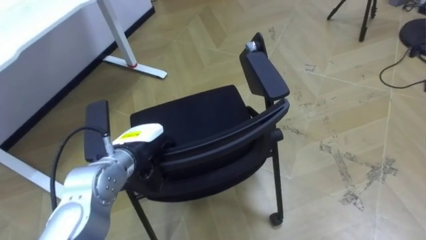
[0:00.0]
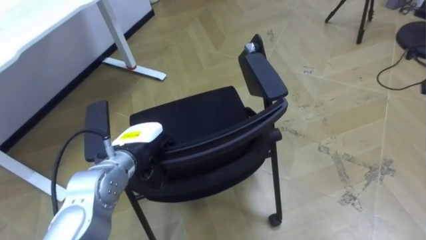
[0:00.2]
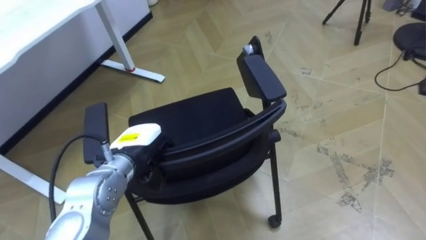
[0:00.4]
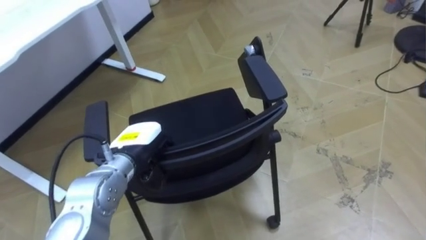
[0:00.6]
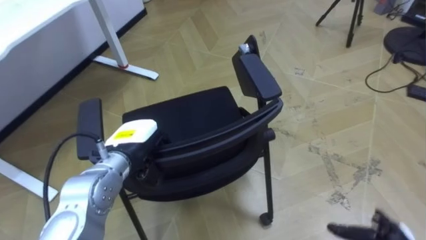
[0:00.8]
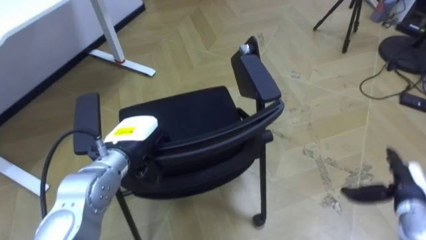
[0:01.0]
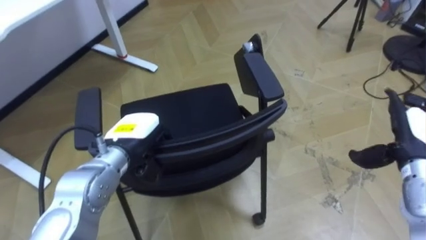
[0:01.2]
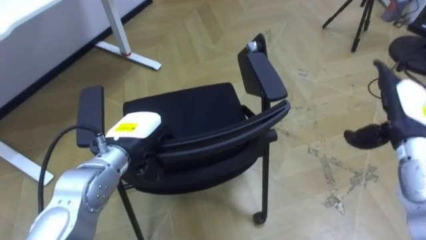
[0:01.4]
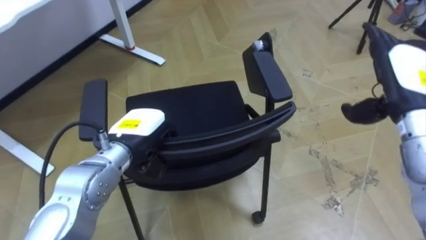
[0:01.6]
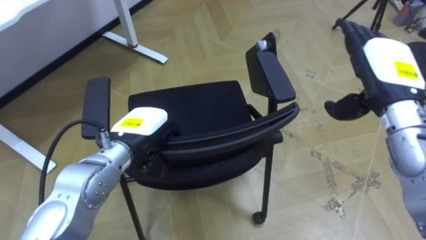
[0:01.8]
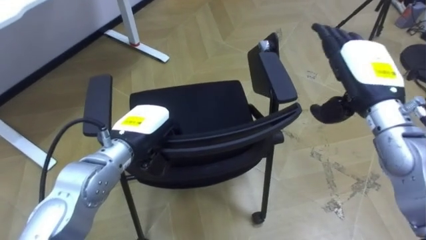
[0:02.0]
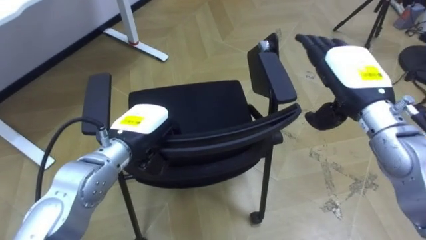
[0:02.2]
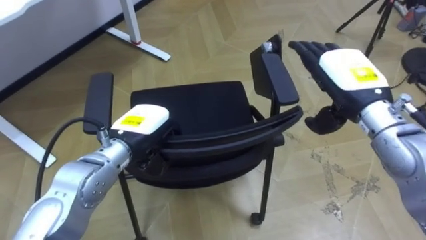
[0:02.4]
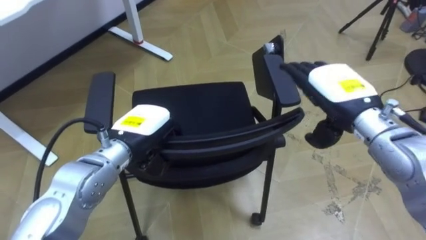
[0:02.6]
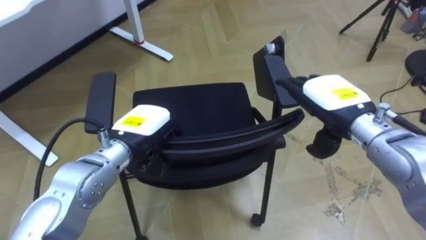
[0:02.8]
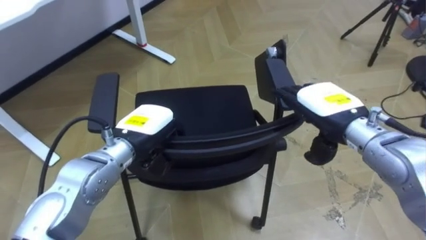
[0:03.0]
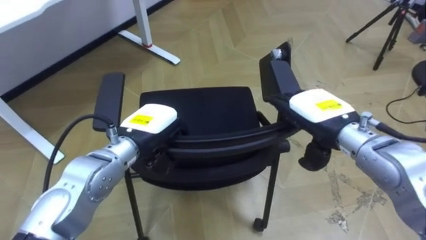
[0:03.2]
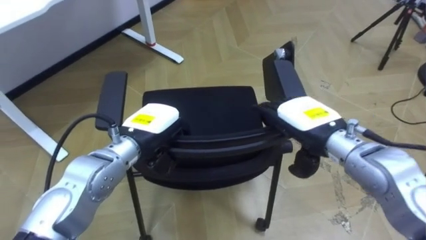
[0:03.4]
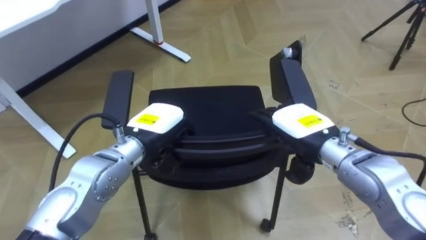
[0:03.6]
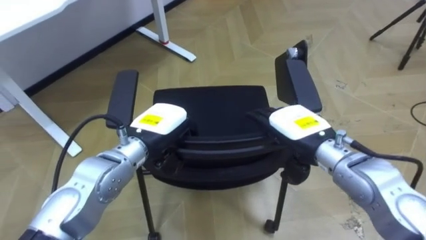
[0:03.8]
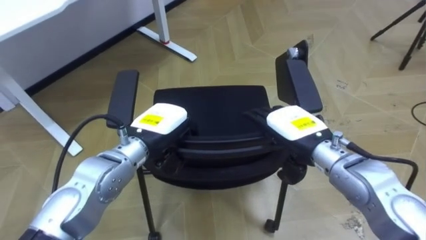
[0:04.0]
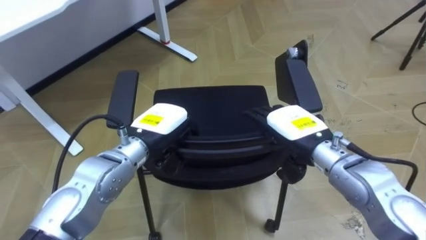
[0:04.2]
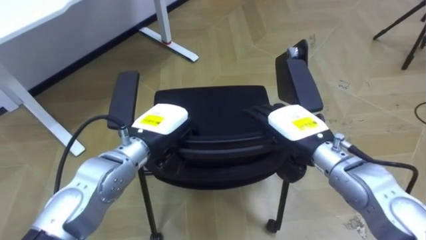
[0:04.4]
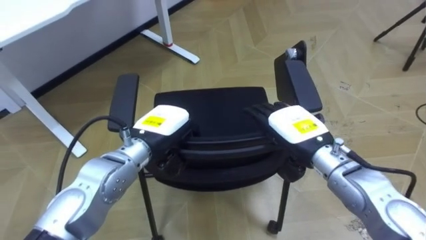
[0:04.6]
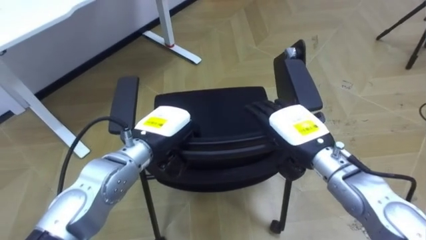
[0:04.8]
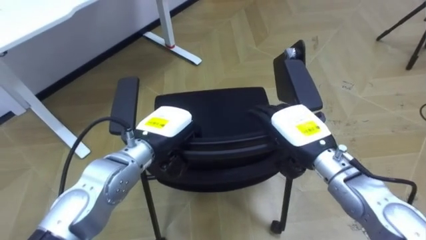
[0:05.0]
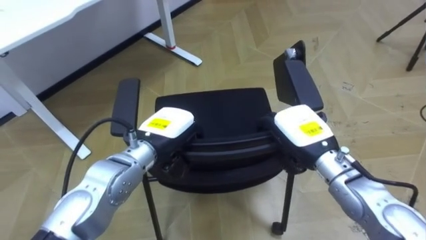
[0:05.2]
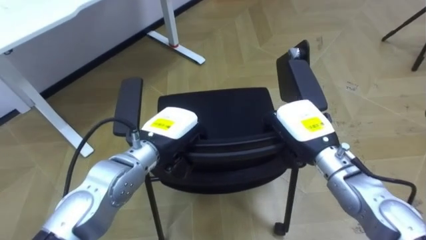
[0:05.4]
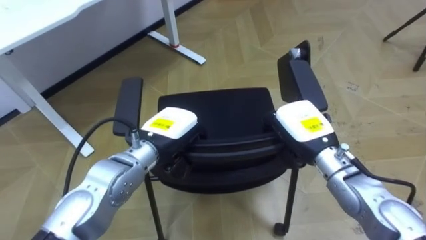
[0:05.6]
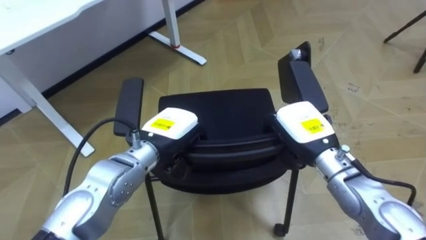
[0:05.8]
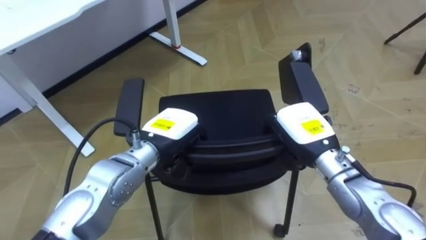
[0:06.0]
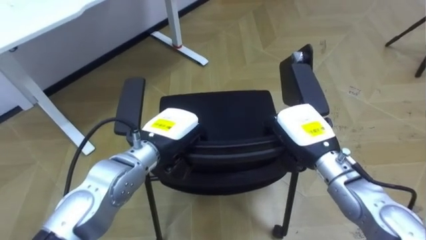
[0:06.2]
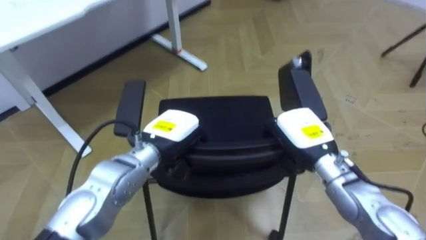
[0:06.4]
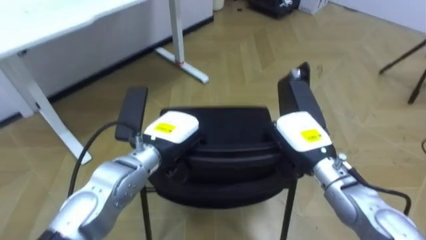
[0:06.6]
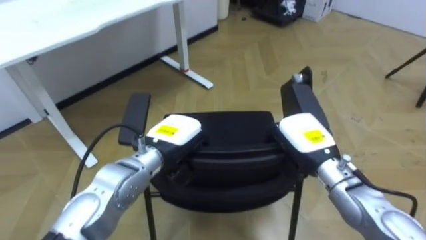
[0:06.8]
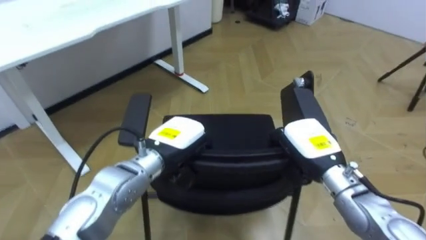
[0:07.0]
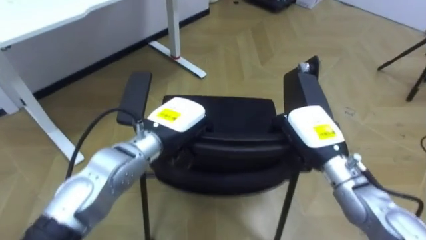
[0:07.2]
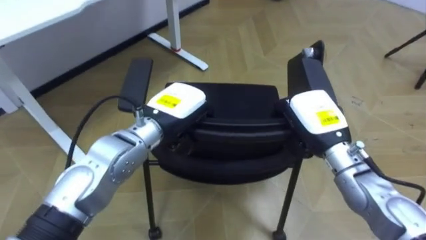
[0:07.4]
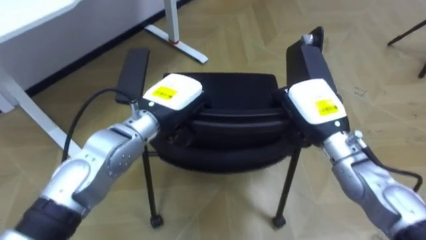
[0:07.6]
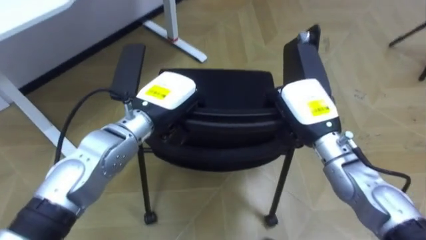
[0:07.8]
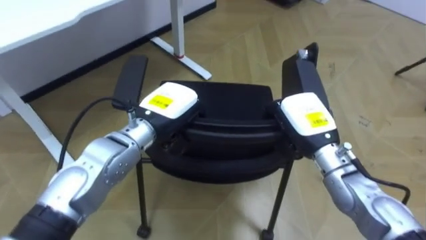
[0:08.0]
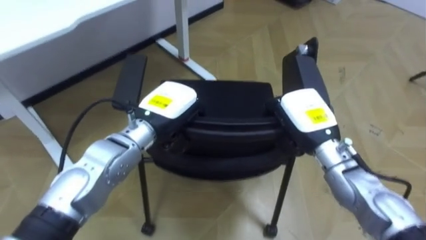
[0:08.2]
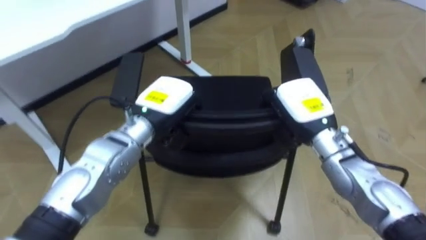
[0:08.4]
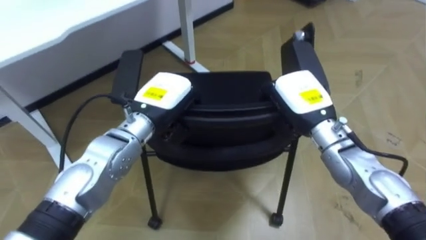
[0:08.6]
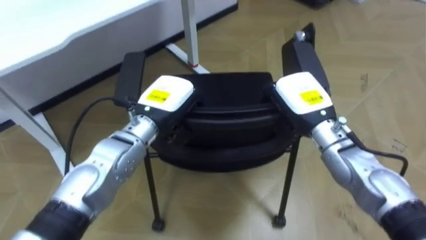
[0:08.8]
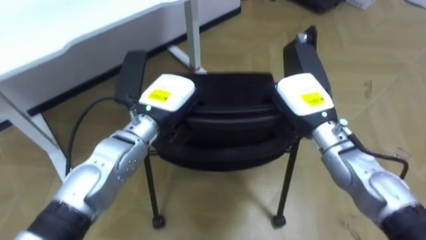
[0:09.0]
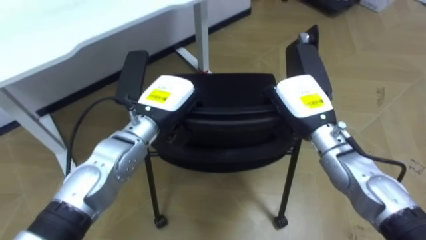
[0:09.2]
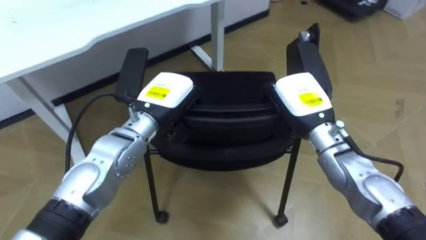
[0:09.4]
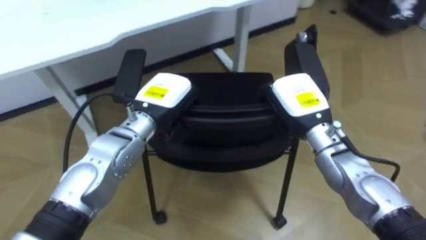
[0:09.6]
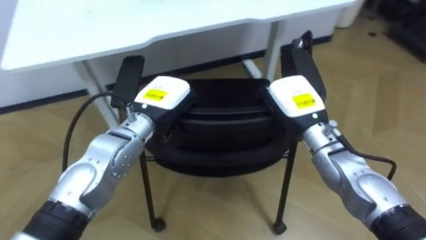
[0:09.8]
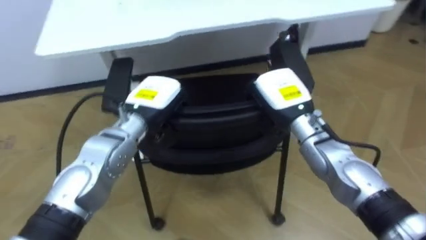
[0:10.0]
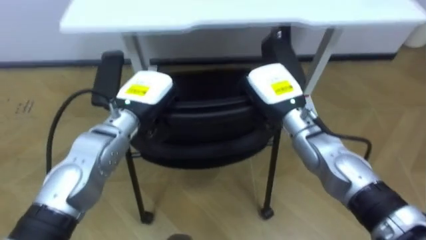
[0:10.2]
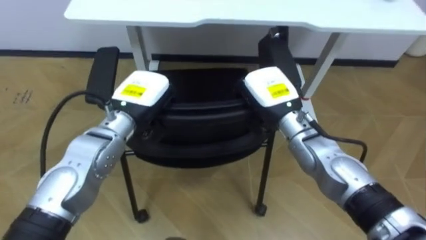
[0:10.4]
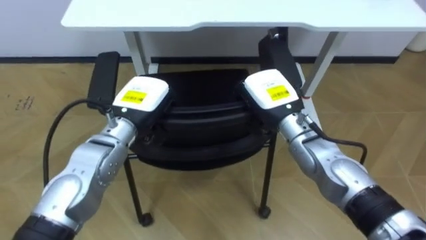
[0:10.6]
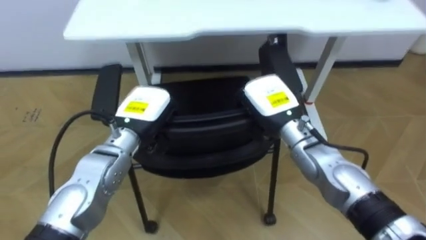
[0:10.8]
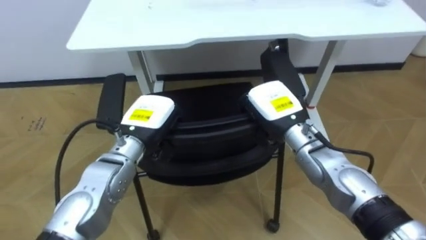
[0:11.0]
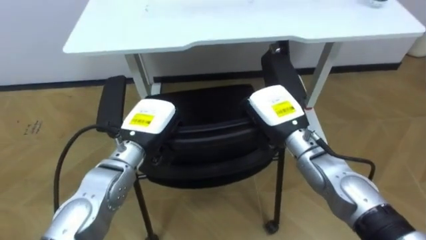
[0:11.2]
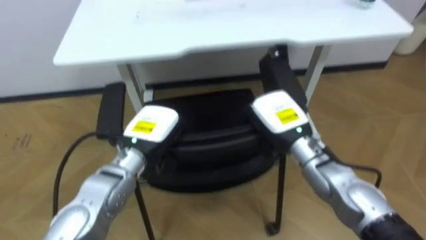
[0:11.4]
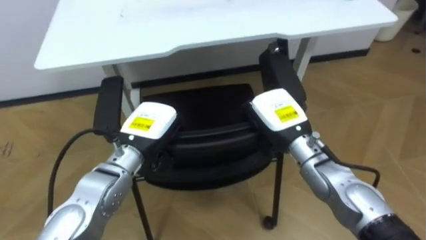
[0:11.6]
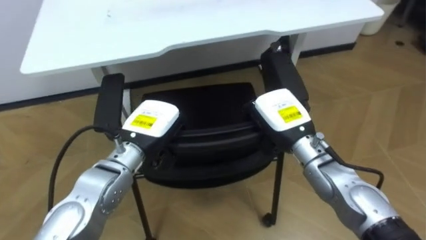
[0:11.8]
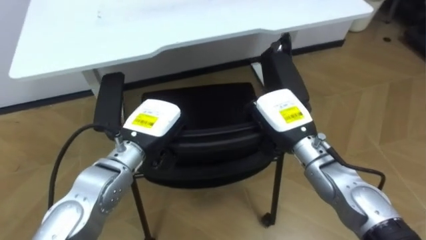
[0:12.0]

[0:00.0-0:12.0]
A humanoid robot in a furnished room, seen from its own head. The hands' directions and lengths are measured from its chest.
Task of the whole recording: Push the chair under the table.
0:01.6 to 0:03.0: The right hand shifts approximately 10 cm to the left.
0:03.0 to 0:04.4: The right hand changes place by approximately 5 cm.
0:04.4 to 0:06.0: The right hand closes.
0:06.0 to 0:07.6: The left hand ends up about 5 cm from where it was.
0:09.0 to 0:10.4: The right hand shifts approximately 5 cm to the left.
0:10.4 to 0:12.0: The left hand changes place by roughly 5 cm.

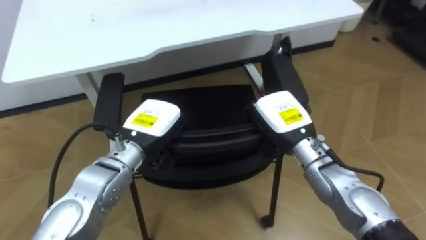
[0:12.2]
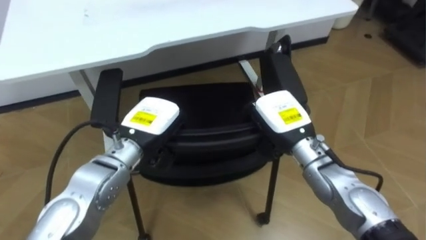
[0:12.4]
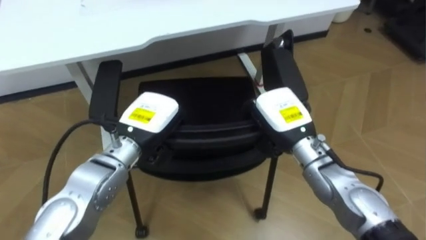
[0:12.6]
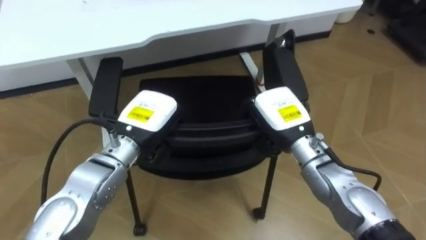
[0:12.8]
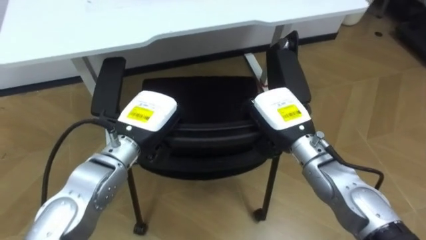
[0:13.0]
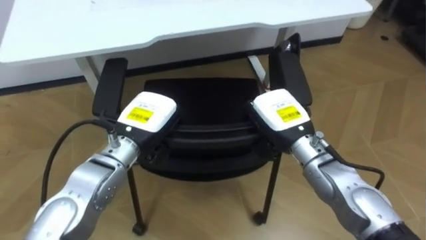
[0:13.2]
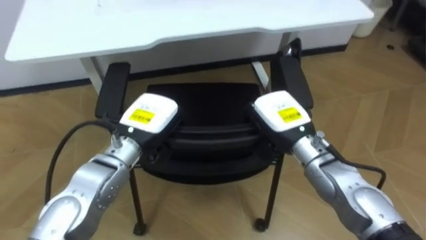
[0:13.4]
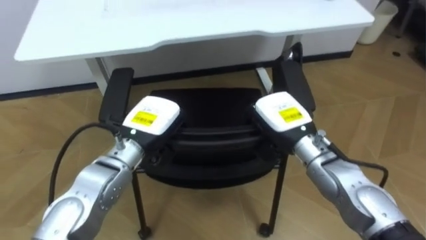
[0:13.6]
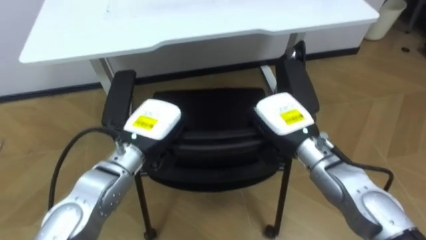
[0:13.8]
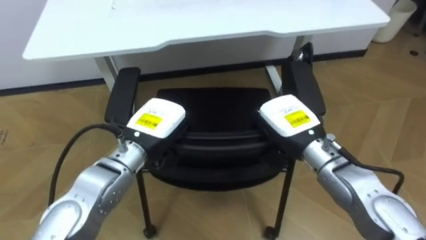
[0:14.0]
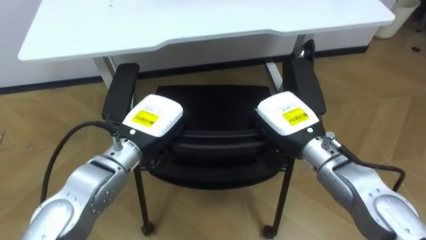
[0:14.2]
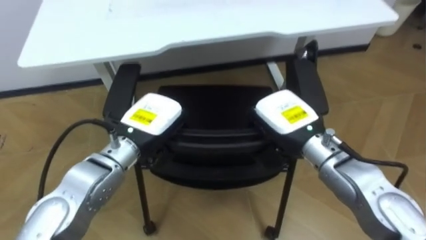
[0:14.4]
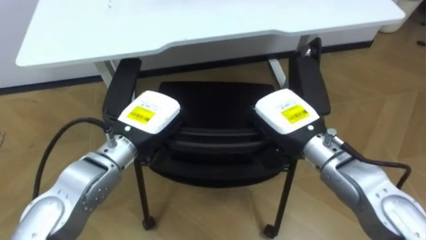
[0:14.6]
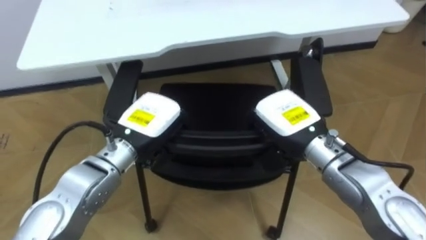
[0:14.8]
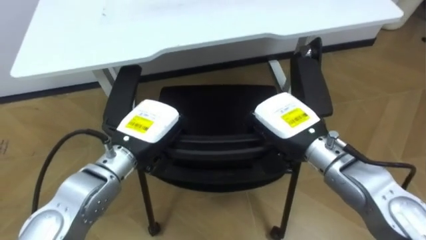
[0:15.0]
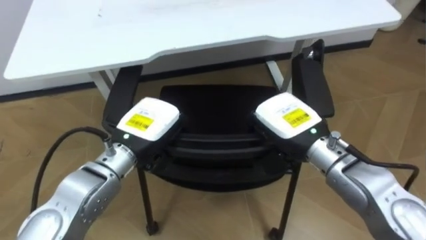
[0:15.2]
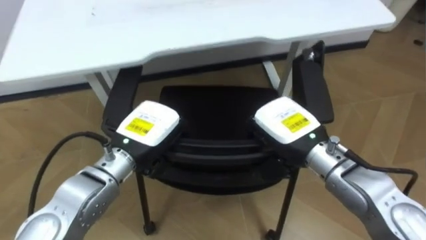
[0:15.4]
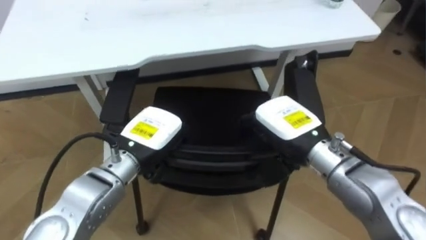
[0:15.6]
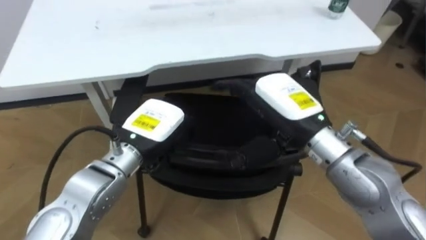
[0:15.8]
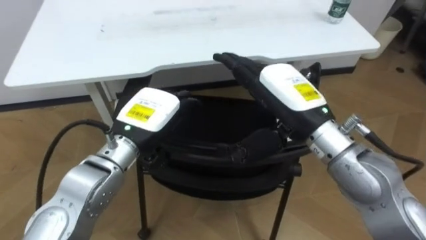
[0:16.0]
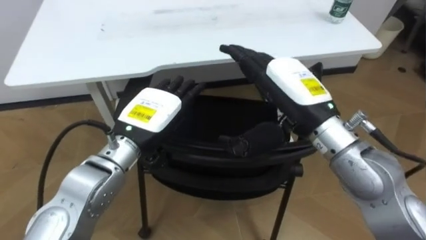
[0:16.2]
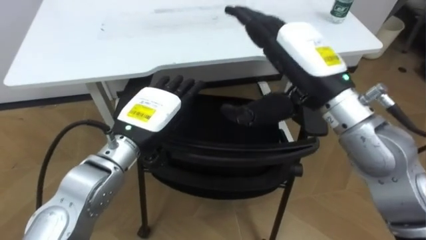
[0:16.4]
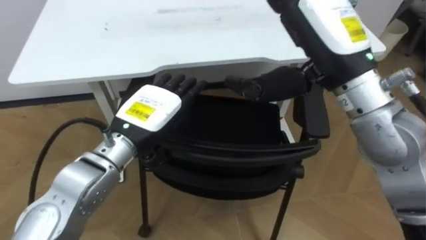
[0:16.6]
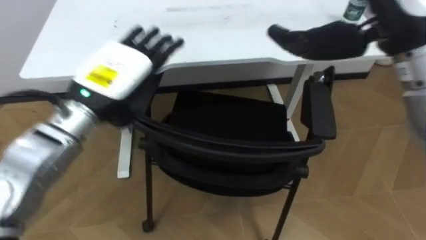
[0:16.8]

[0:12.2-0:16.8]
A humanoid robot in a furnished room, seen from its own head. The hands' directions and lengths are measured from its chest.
Task of the whole recording: Push the chair under the table.
0:15.2 to 0:16.8: The left hand travels upward by roughly 10 cm, and opens up. The right hand travels upward by some 20 cm, and opens.
